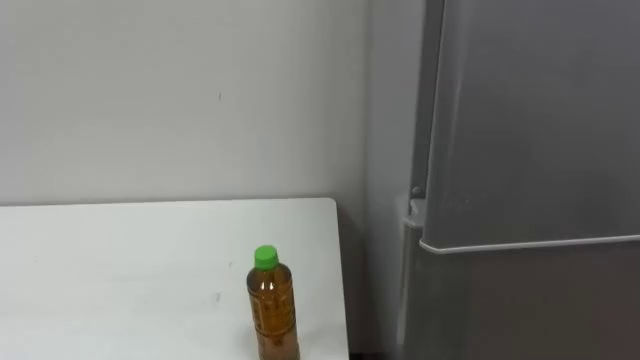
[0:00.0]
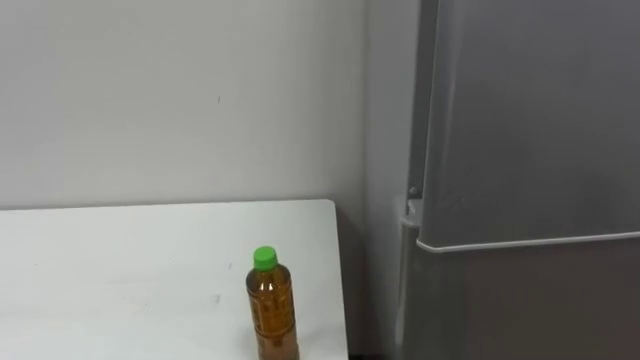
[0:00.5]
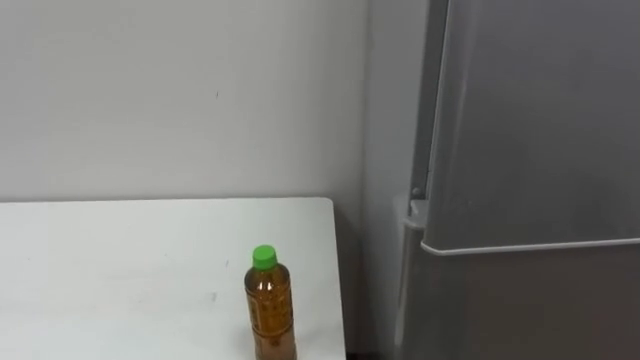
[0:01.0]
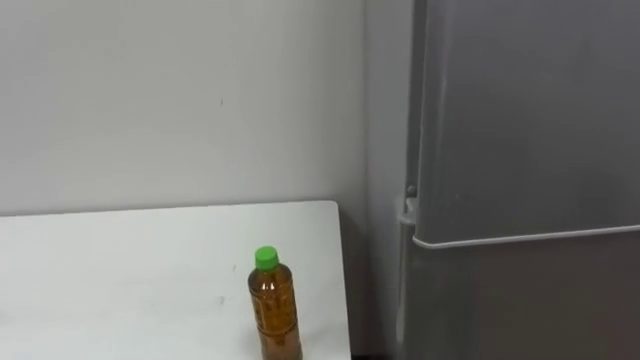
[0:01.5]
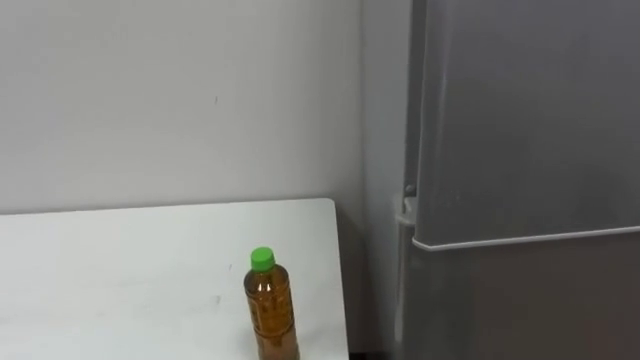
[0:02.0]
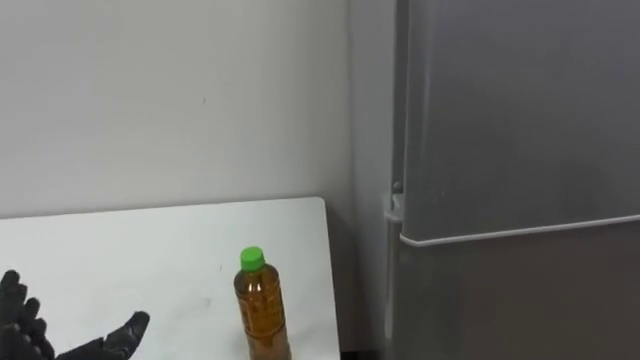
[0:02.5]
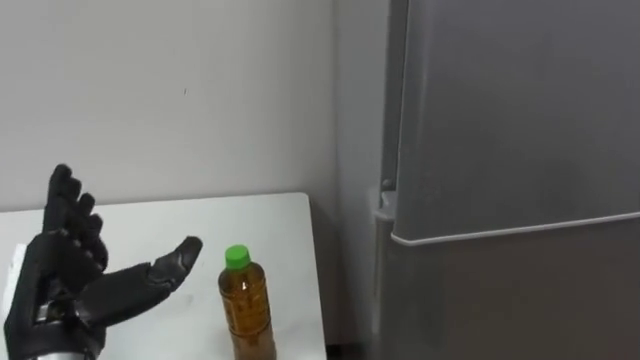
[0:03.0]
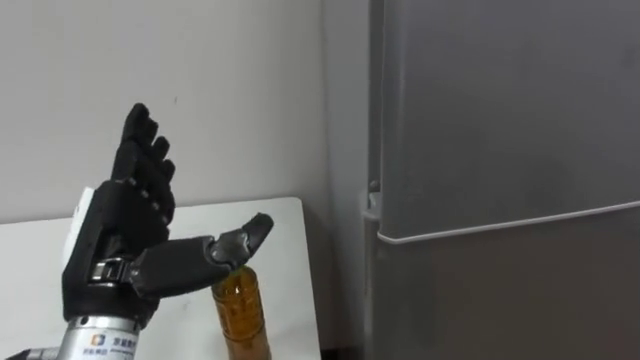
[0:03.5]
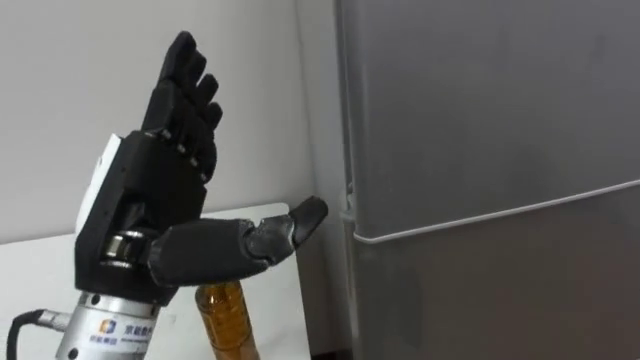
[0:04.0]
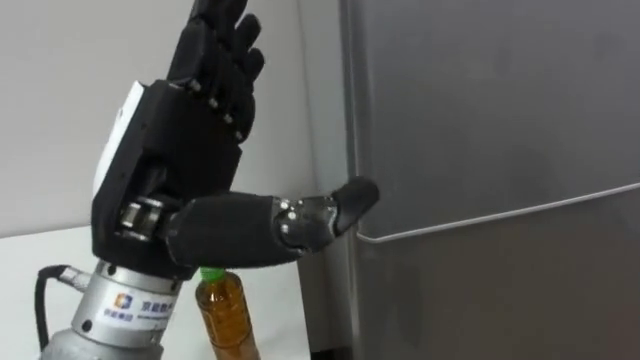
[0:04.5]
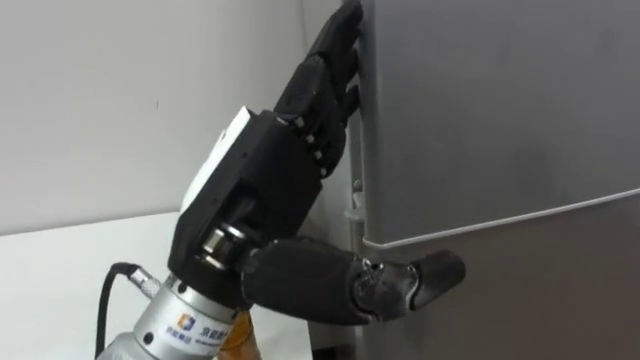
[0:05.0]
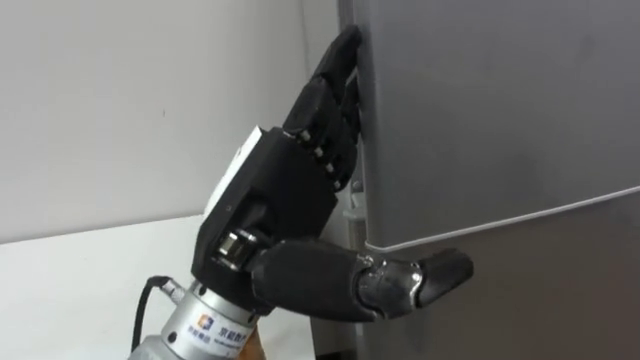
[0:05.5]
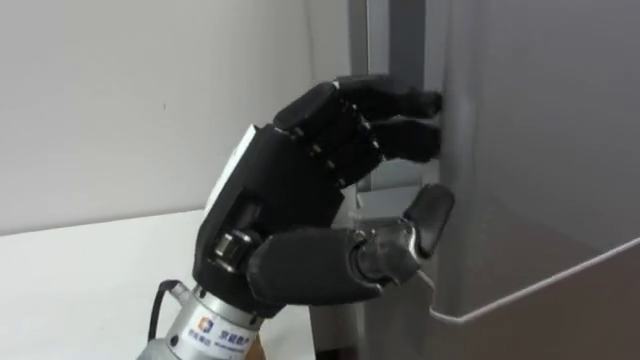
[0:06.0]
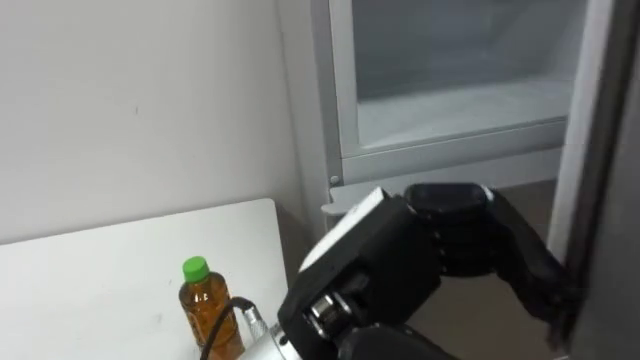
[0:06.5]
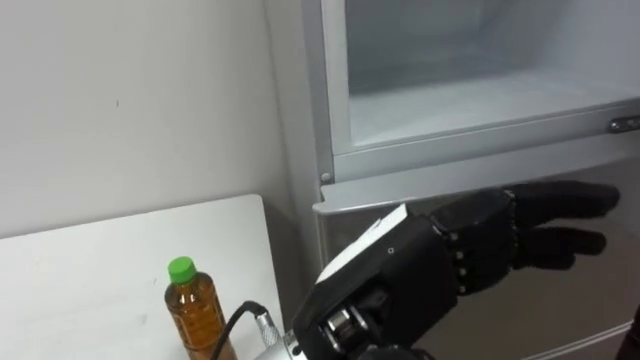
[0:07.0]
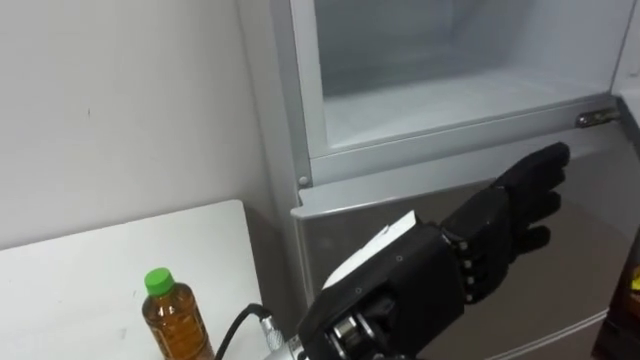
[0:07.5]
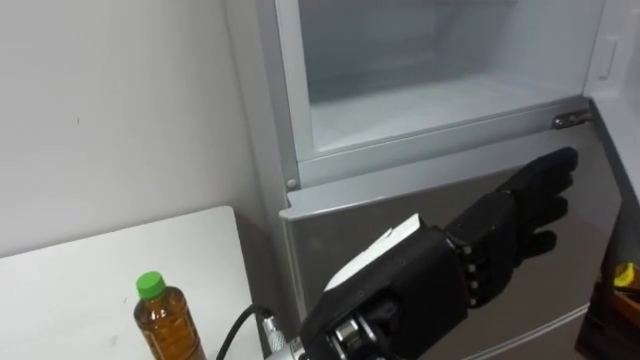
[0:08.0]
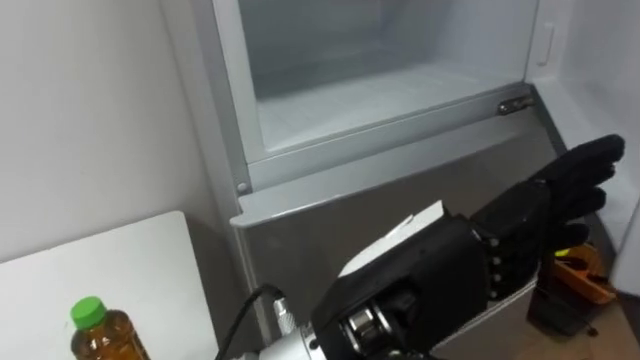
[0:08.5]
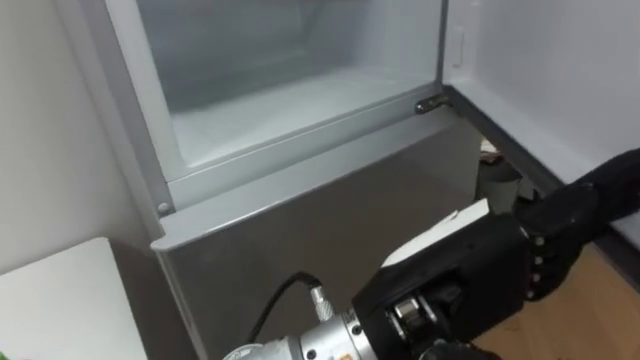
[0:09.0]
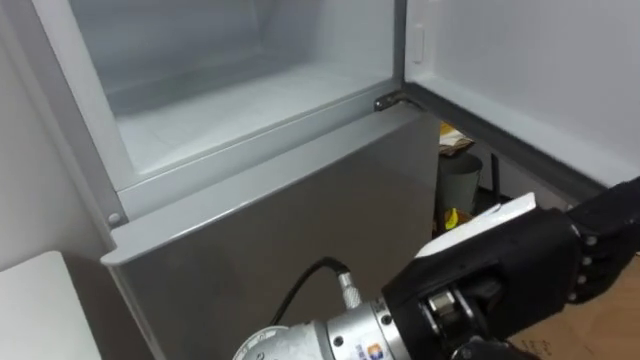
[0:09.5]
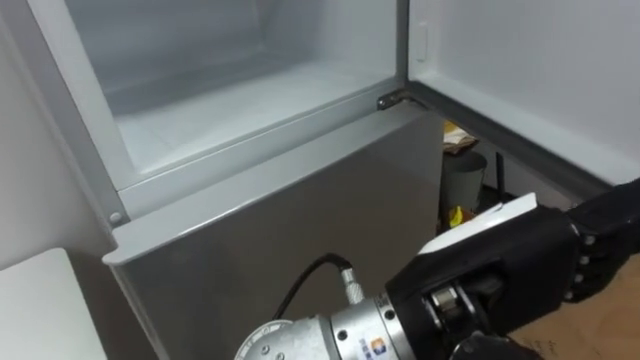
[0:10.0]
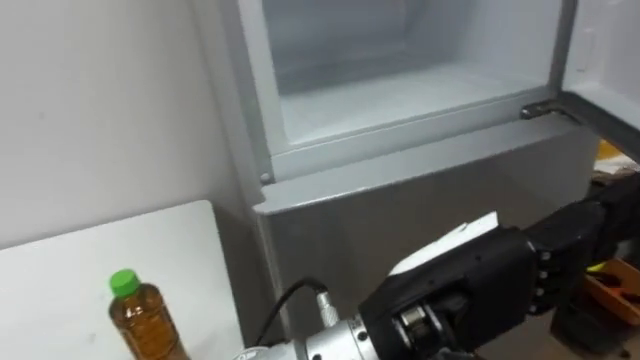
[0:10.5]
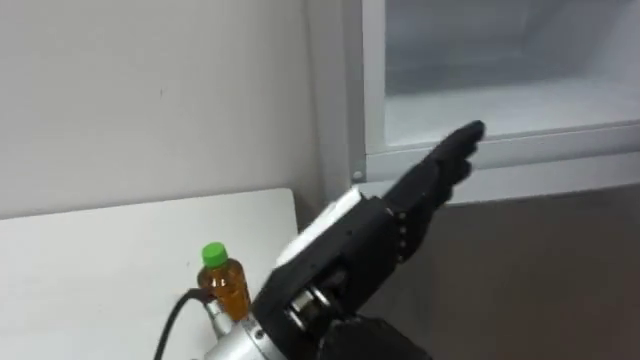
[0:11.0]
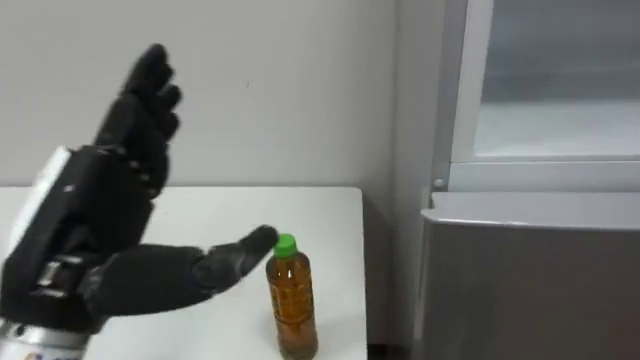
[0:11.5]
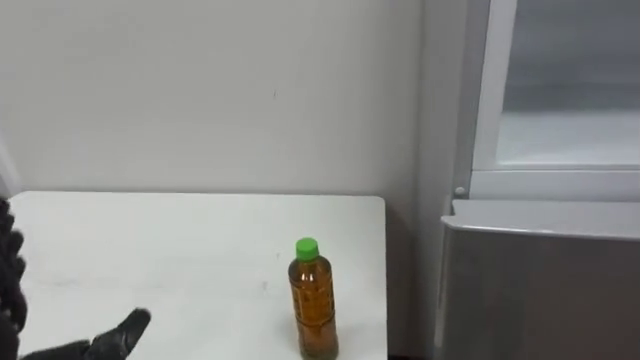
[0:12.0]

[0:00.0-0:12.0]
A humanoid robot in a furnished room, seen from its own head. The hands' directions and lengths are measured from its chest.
Task of the whole recording: Open the upper refrigerator door, put the drink from the table into the refrigerator, and then close the refrigerator door.
0:04.0 to 0:06.0: The left hand moves to the right, roughly 10 cm, and closes up.
0:06.0 to 0:08.0: The left hand heads to the right, covering approximately 10 cm, and opens its fingers.
0:08.0 to 0:10.0: The robot turns to its right by about 15 degrees. The left hand shifts roughly 5 cm to the right.

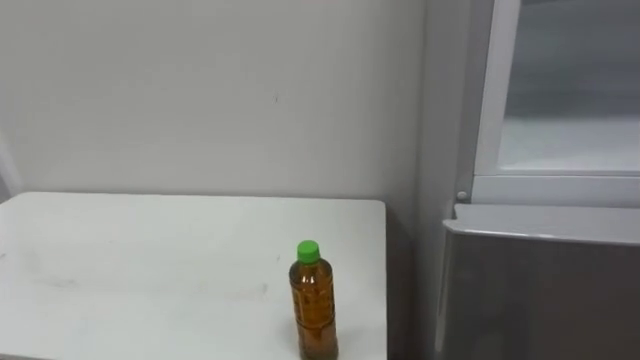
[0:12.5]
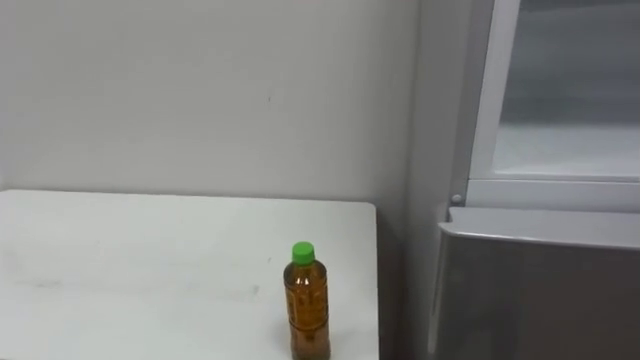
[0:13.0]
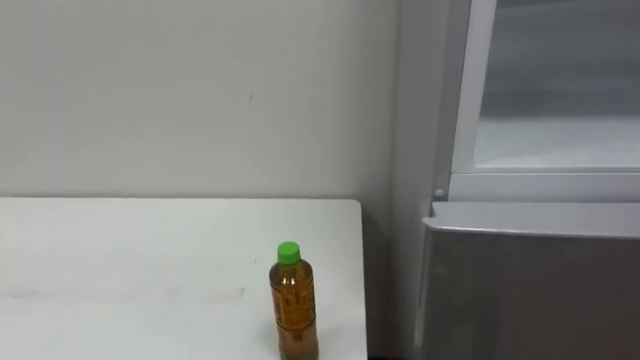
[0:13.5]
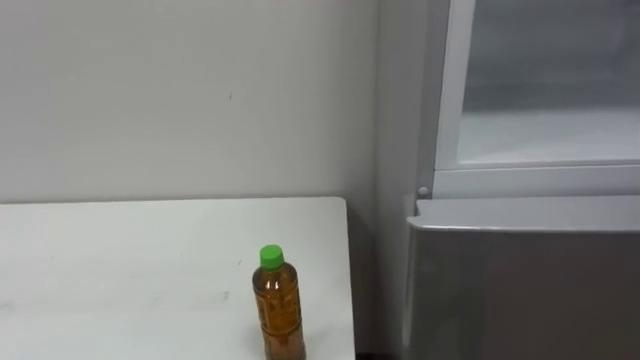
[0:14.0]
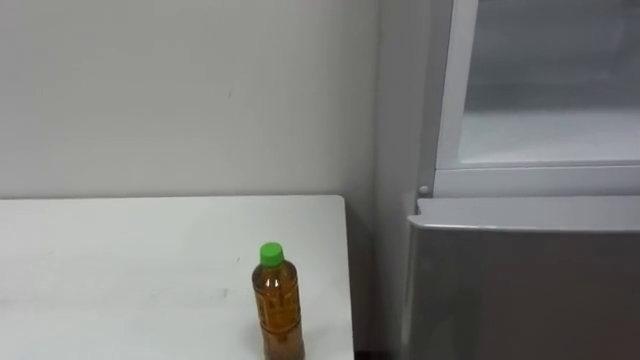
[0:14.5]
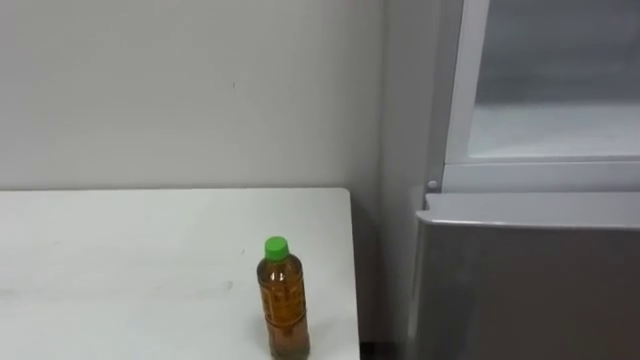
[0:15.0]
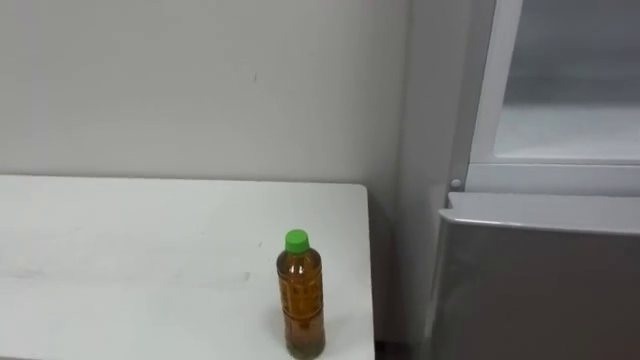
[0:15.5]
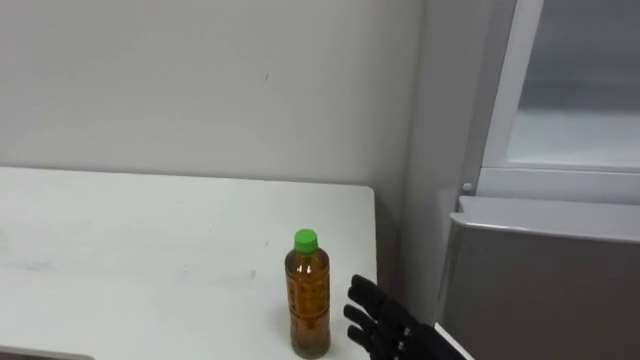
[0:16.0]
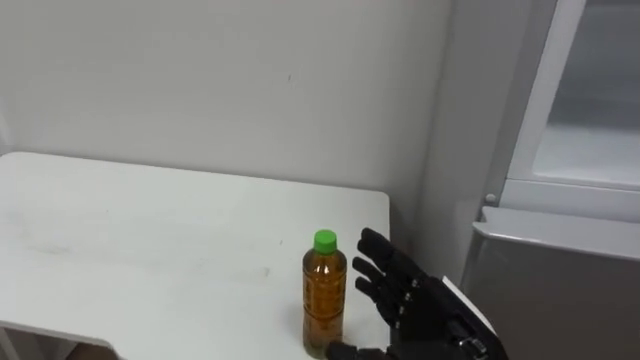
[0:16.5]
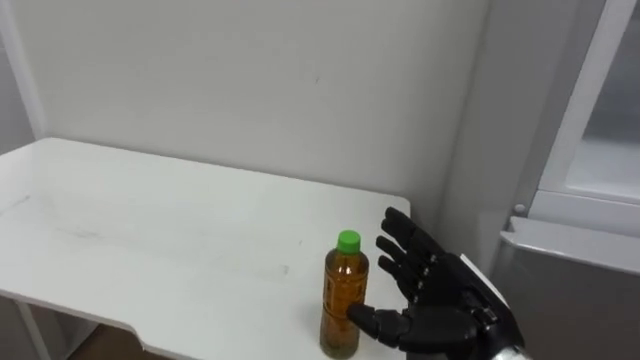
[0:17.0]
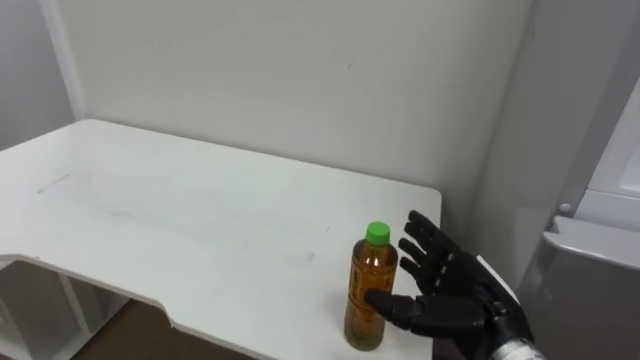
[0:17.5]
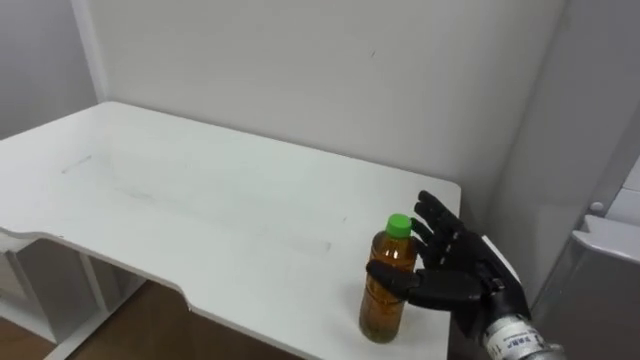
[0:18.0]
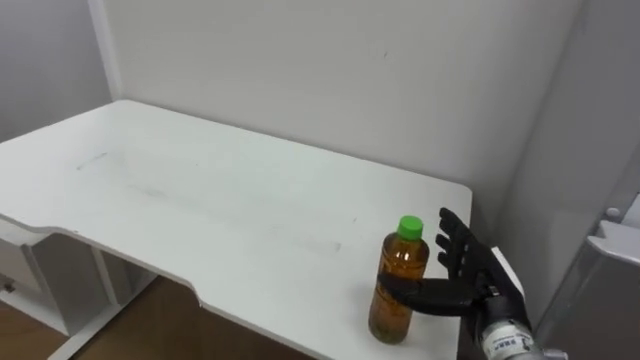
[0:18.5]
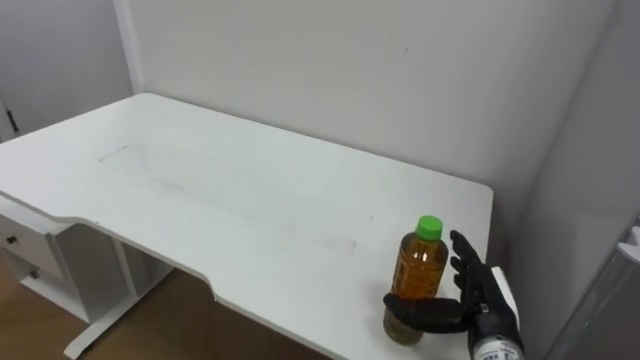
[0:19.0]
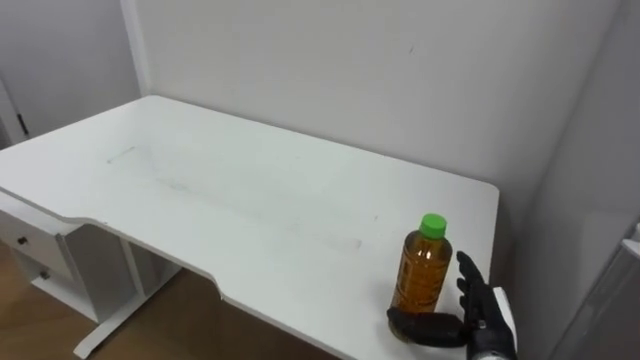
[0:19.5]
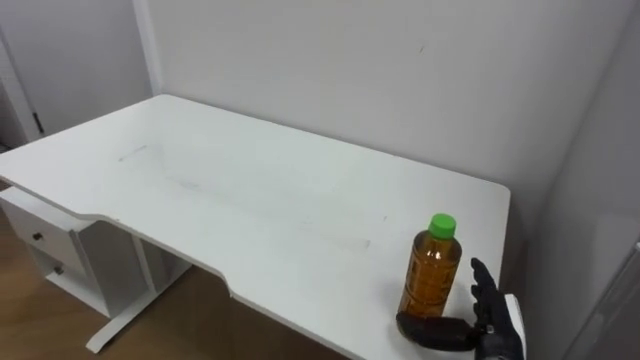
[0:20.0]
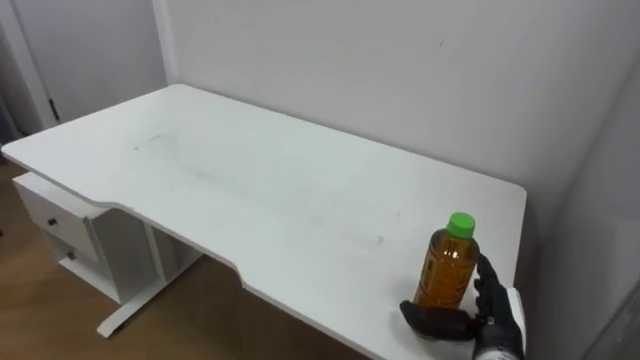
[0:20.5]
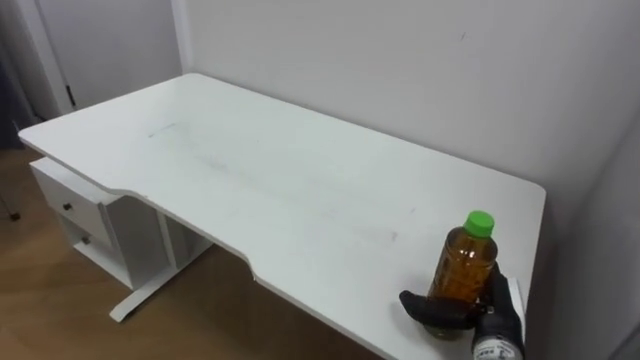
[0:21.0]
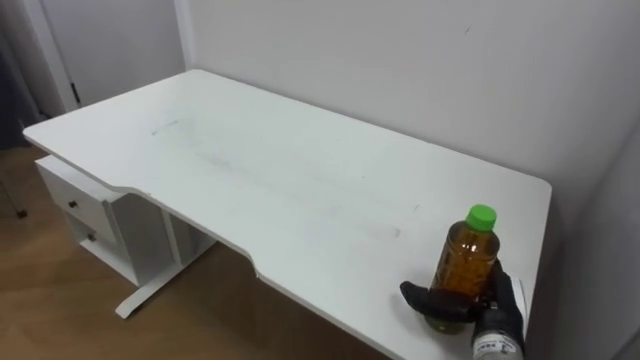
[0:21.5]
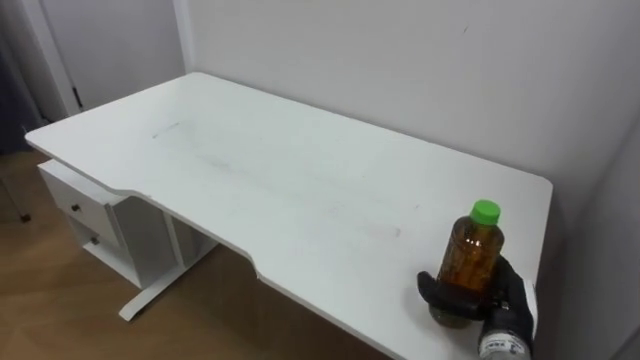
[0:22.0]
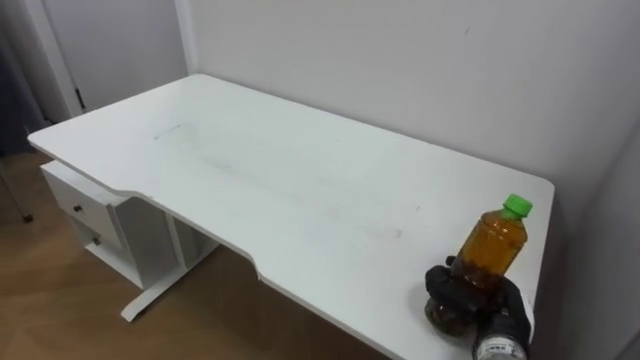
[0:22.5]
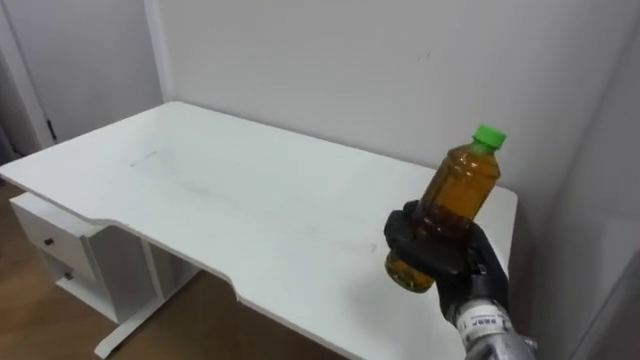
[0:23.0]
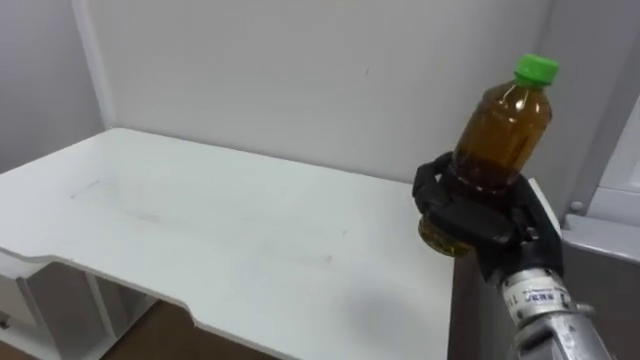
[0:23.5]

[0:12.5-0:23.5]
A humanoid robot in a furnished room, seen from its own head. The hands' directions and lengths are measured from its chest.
Task of the whole recording: Open the upper refrigerator door, put the drink from the table into the refrigerator, and then close the refrigerator door.
0:18.0 to 0:20.0: The right hand goes roughly 10 cm downward.
0:21.5 to 0:23.5: The right hand is displaced upward by approximately 15 cm, and closes.
